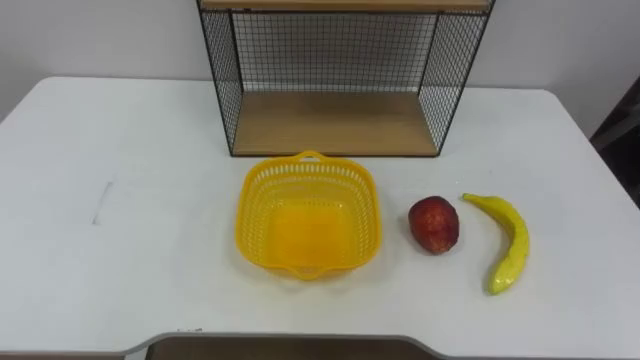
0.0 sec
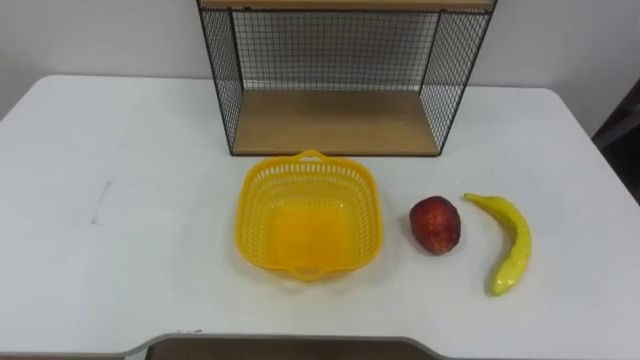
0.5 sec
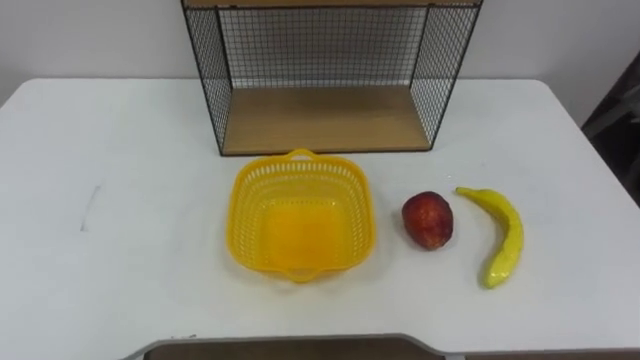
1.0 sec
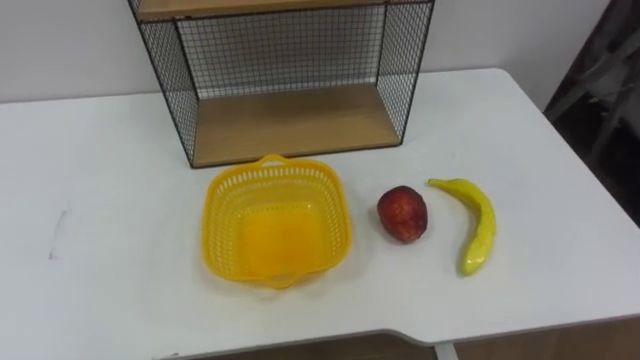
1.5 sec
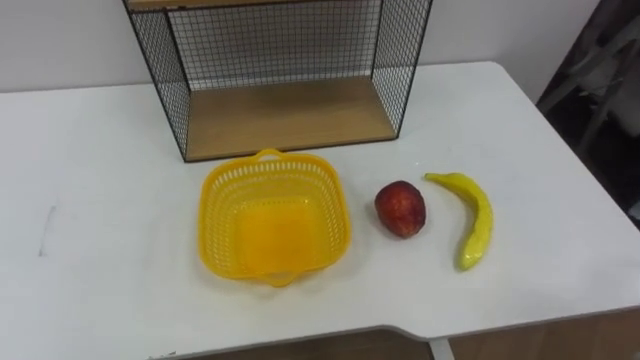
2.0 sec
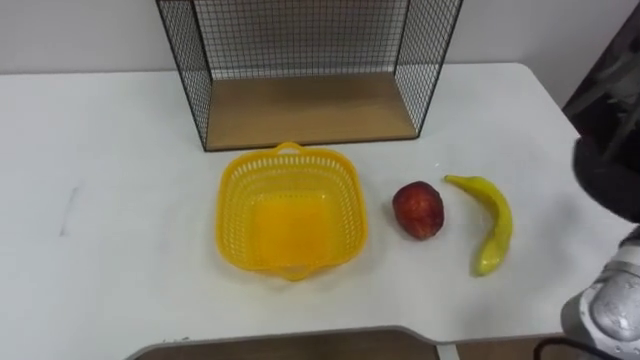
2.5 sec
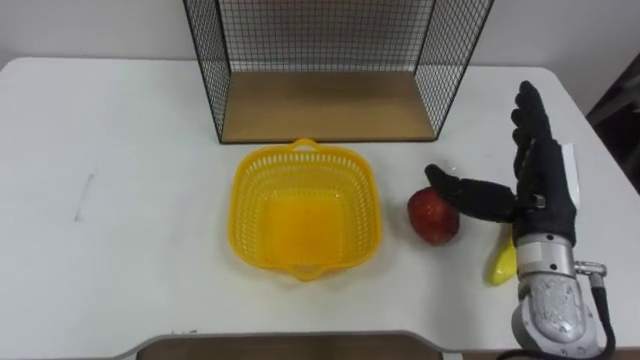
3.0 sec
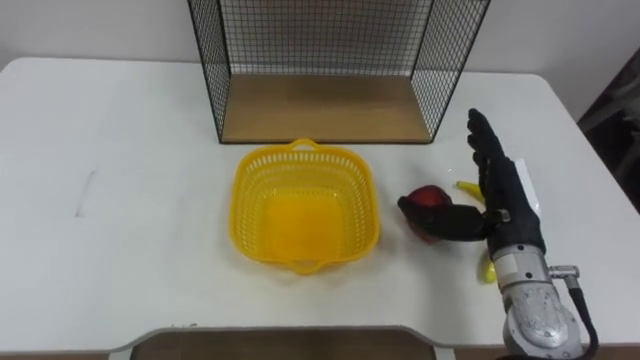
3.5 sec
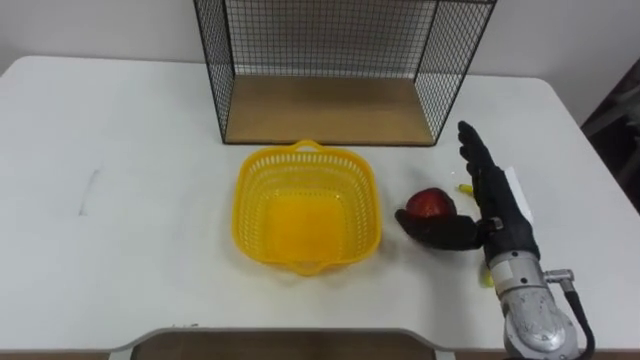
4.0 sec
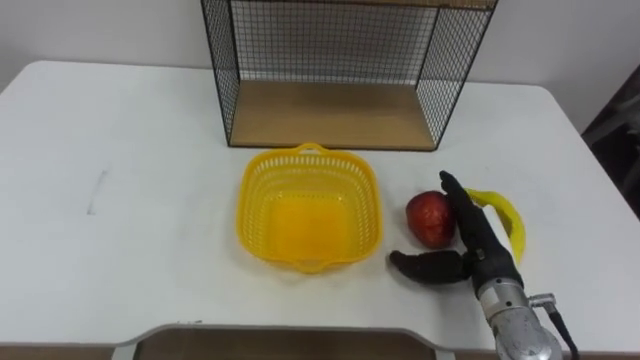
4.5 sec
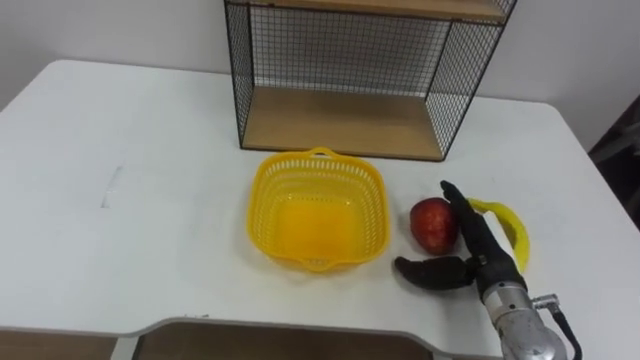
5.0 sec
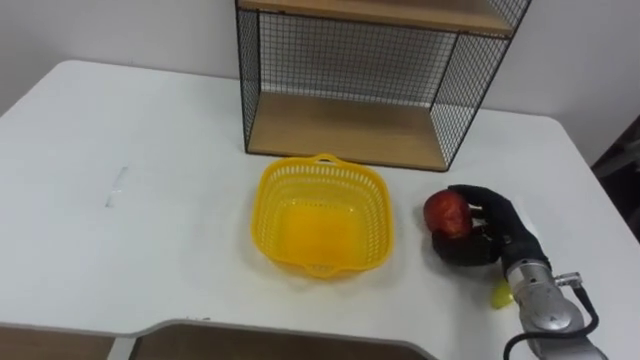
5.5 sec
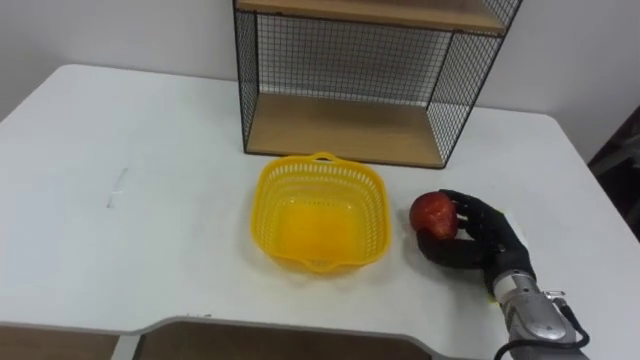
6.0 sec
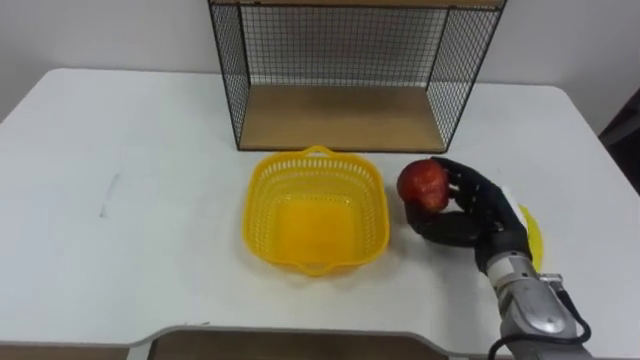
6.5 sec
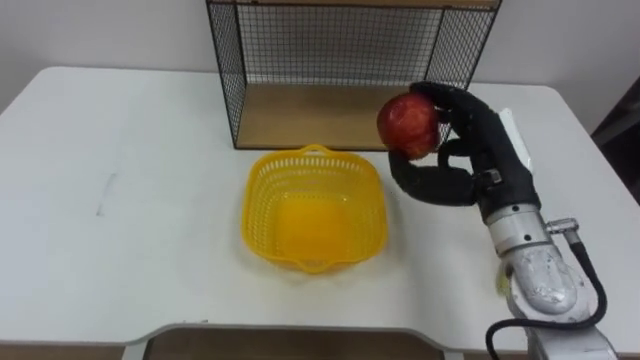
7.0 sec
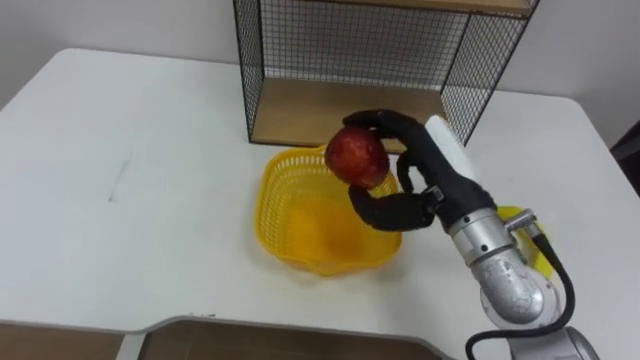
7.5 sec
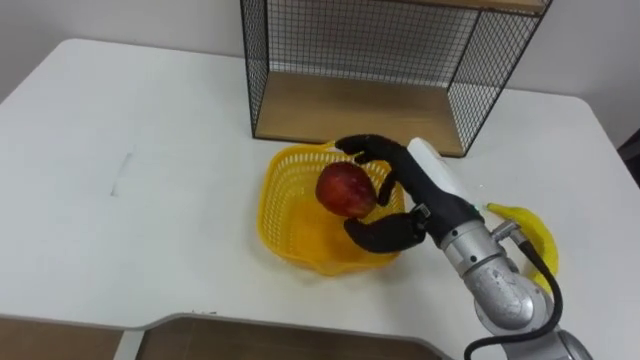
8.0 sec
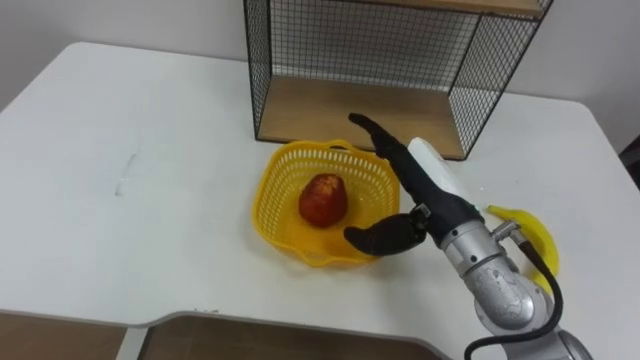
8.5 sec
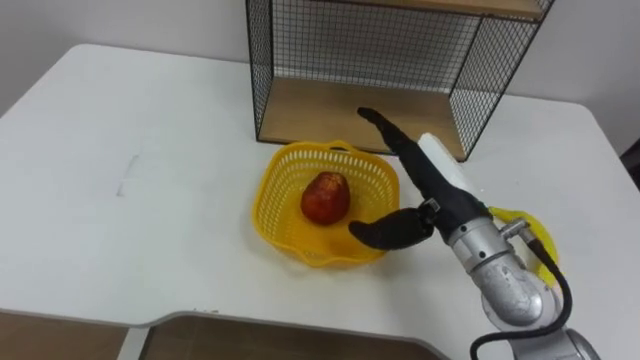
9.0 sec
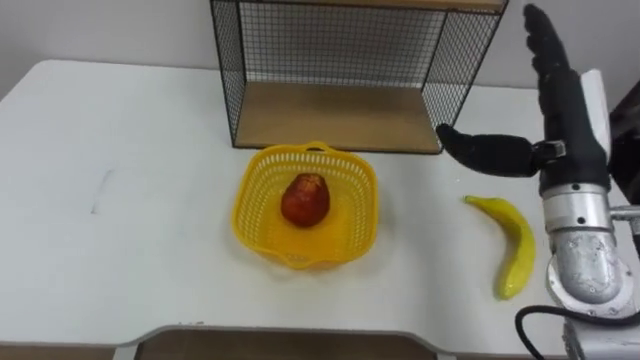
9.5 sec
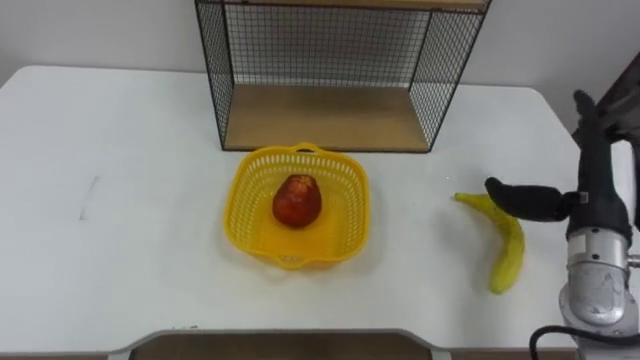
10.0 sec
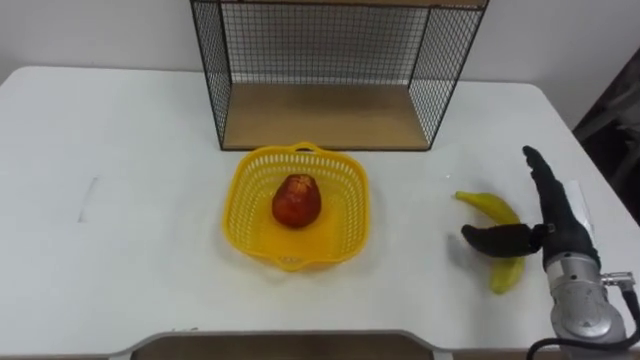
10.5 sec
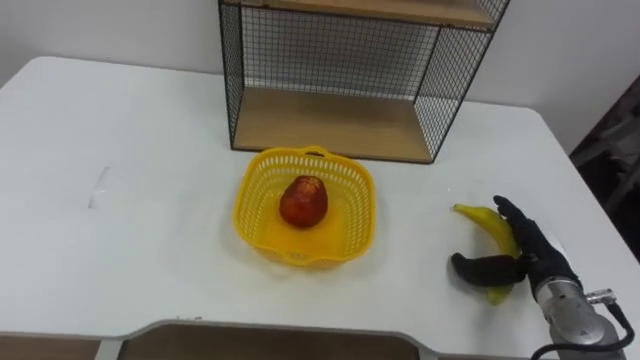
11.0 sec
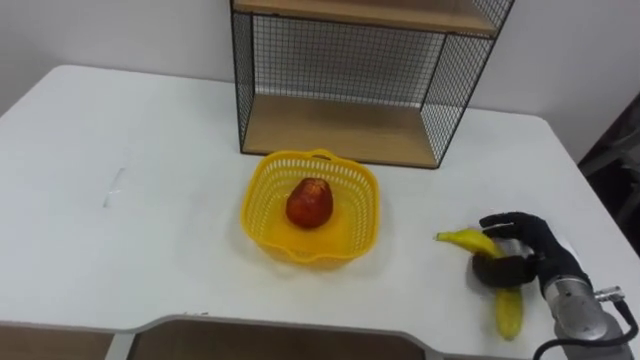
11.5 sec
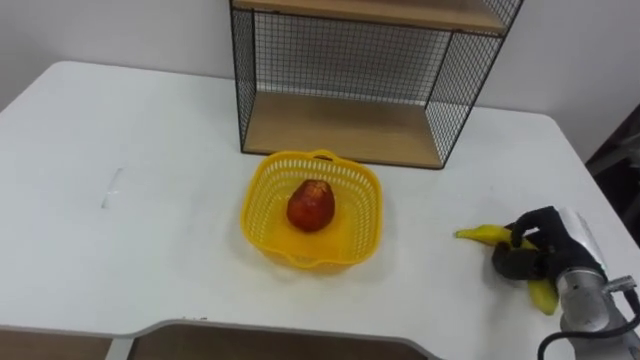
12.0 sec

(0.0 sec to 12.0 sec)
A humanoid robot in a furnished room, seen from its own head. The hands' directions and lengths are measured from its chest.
Task of the whole recording: Put the fruit on the table into the basket, then place the basket on the shelf.
4.0 sec - 6.0 sec: The right hand is displaced downward by roughly 10 cm, and closes up.
6.0 sec - 8.0 sec: The right hand heads upward and to the left, covering roughly 20 cm.
8.0 sec - 10.0 sec: The right hand shifts roughly 20 cm to the right.
10.0 sec - 12.0 sec: The right hand goes approximately 10 cm downward, and closes its fingers.

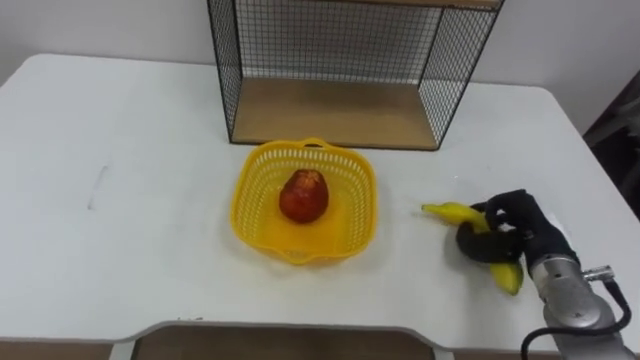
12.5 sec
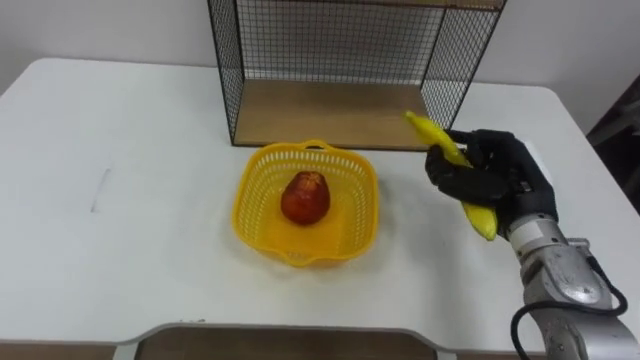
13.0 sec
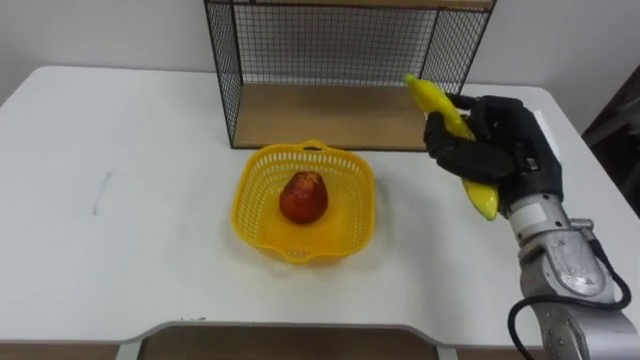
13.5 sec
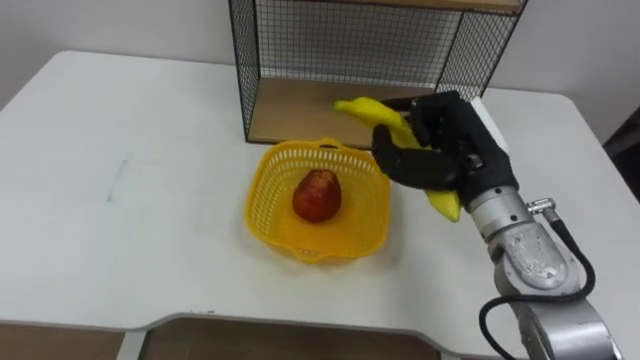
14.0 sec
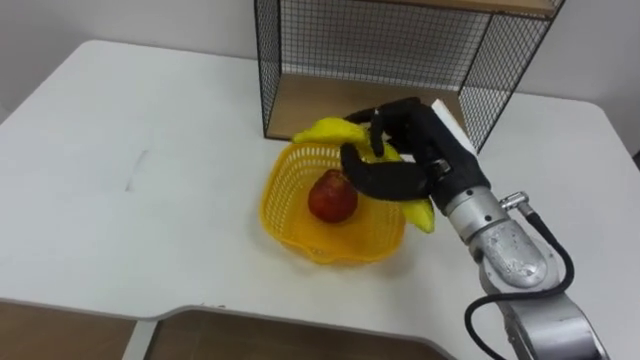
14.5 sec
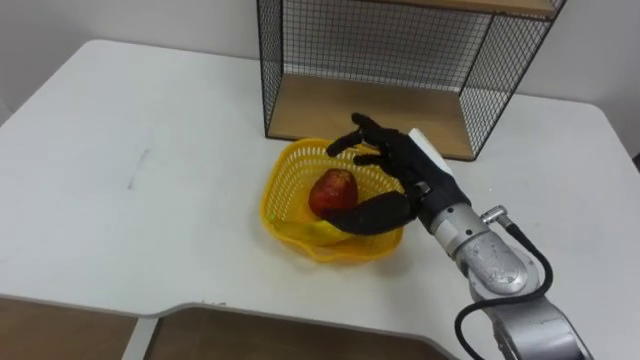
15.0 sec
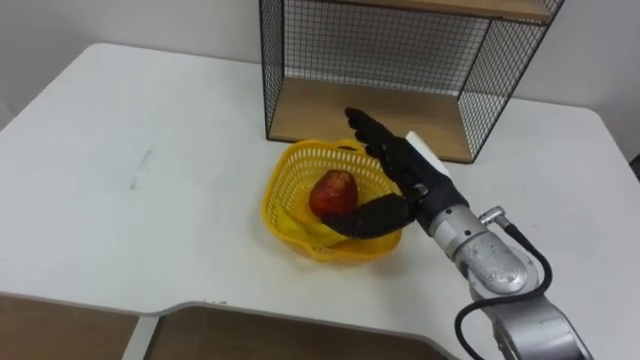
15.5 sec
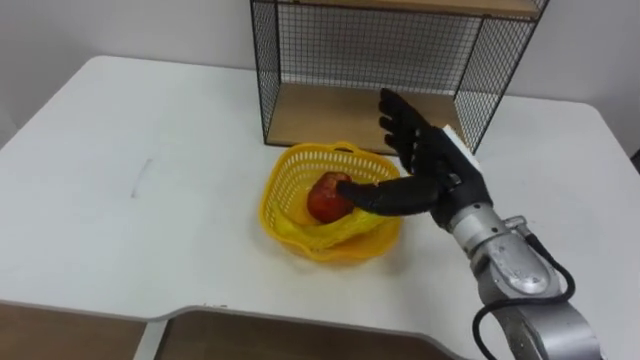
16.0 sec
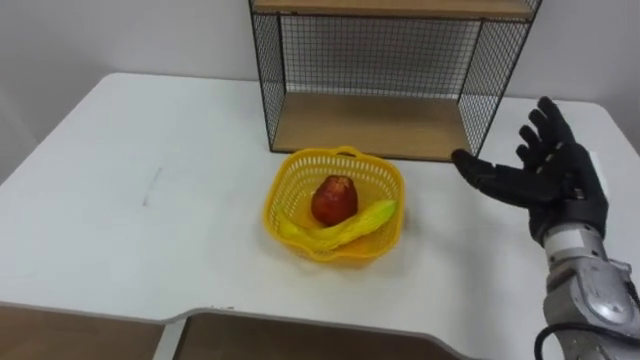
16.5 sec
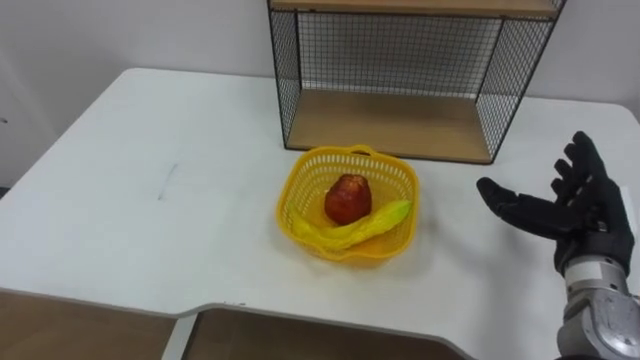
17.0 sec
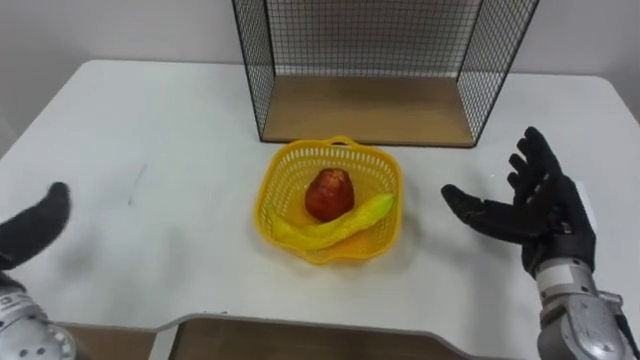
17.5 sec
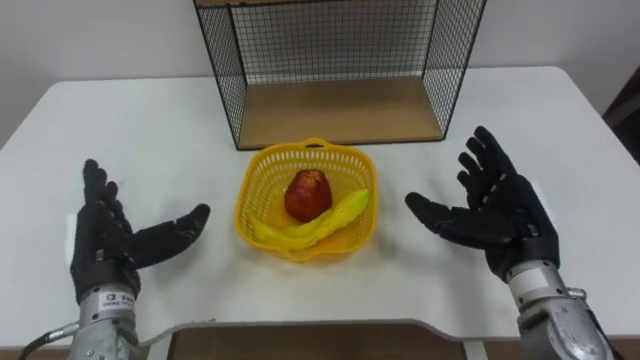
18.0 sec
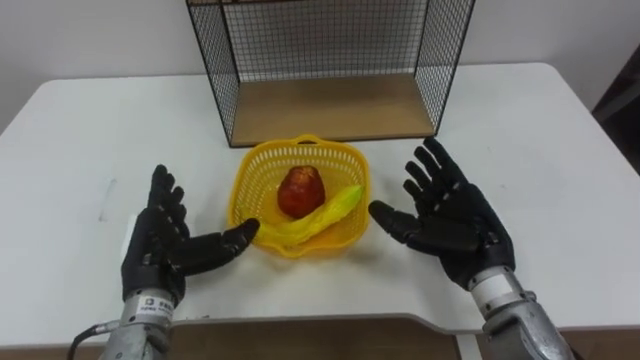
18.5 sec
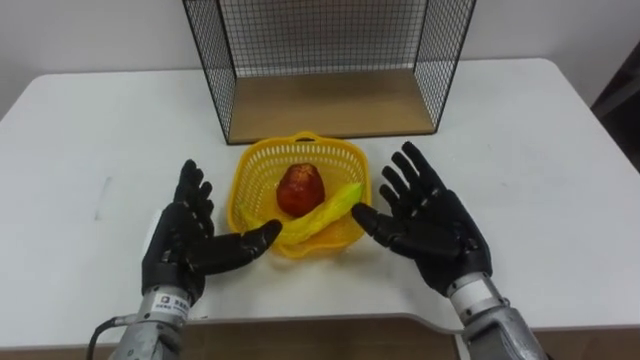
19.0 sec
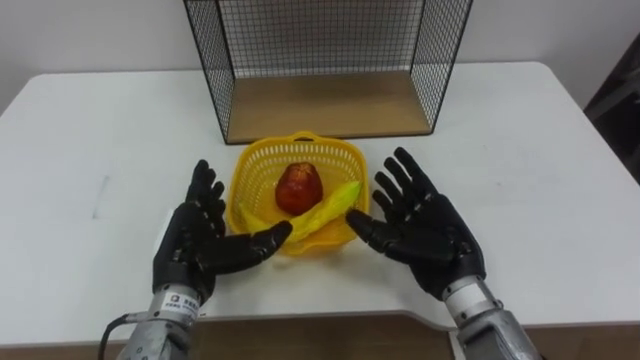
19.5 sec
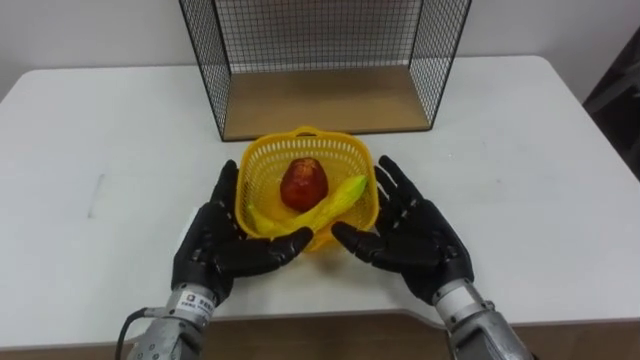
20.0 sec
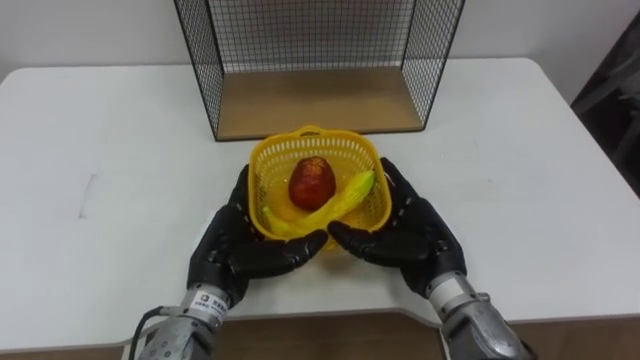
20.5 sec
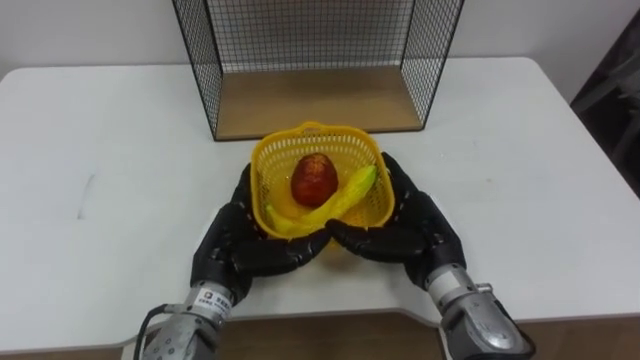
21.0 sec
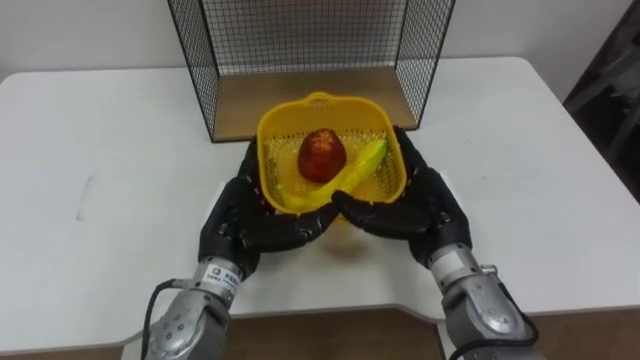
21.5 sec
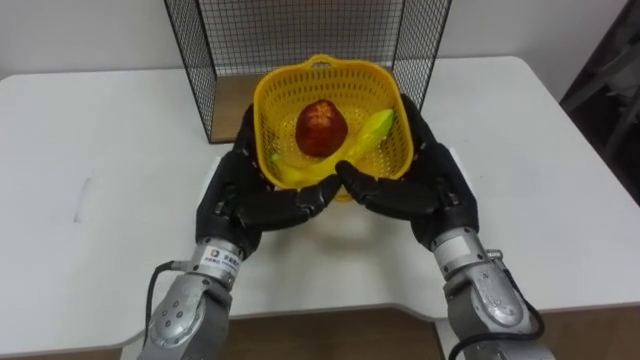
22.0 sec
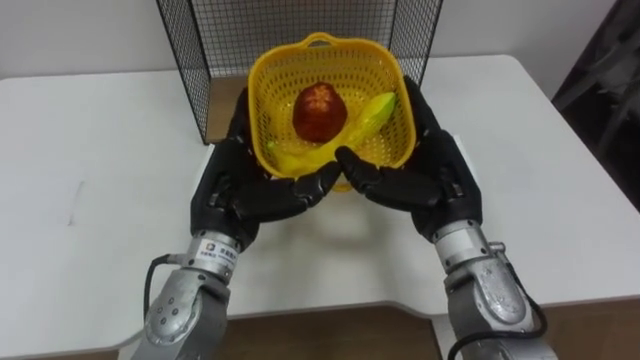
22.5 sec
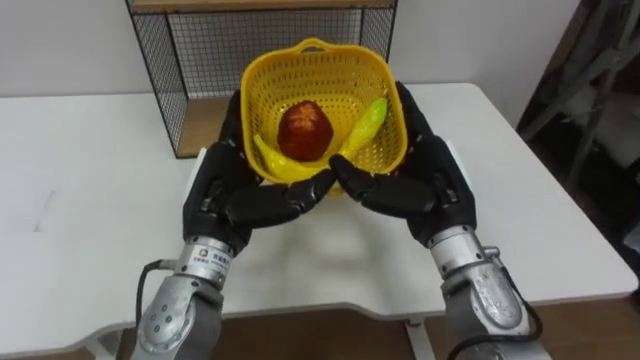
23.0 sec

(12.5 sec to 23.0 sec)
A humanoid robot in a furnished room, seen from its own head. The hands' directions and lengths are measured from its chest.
Task of the whole recording: Put the fruit on the table into the basket, then place the basket on the shelf.
12.5 sec - 14.5 sec: The right hand goes some 20 cm to the left and upward.
14.5 sec - 16.5 sec: The right hand heads to the right, covering about 15 cm, and opens up.
16.5 sec - 19.0 sec: The right hand is displaced to the left by about 10 cm.
19.0 sec - 21.0 sec: The left hand goes about 5 cm to the right.
21.0 sec - 23.0 sec: The hands both shift upward by some 10 cm.
